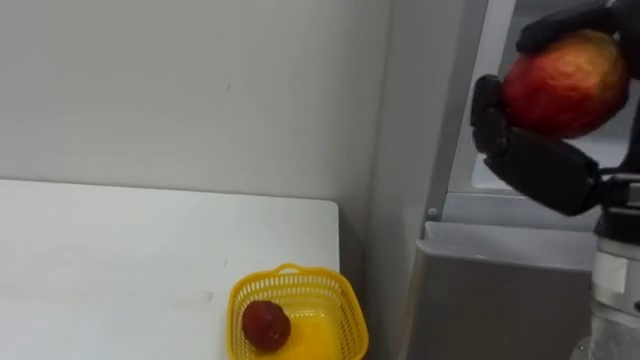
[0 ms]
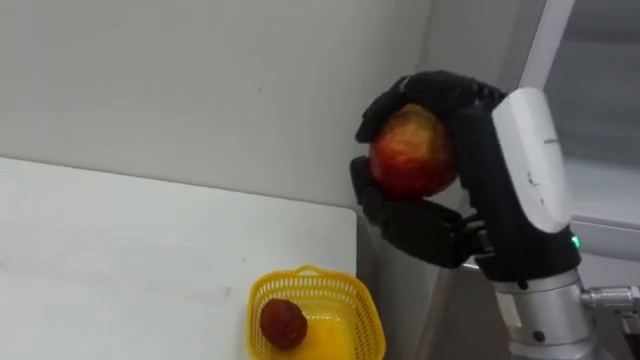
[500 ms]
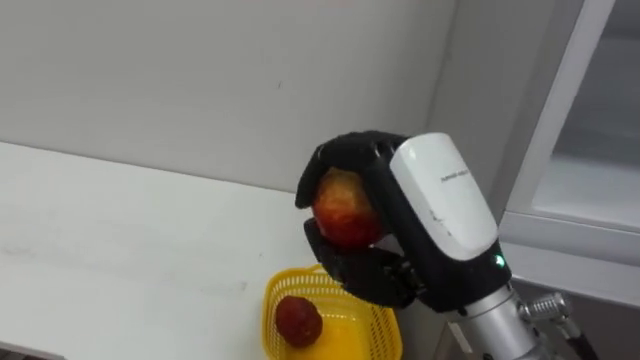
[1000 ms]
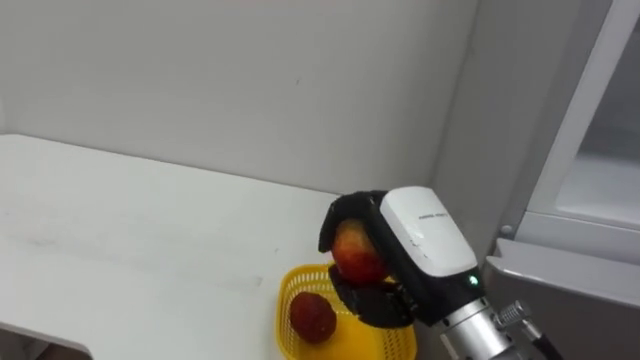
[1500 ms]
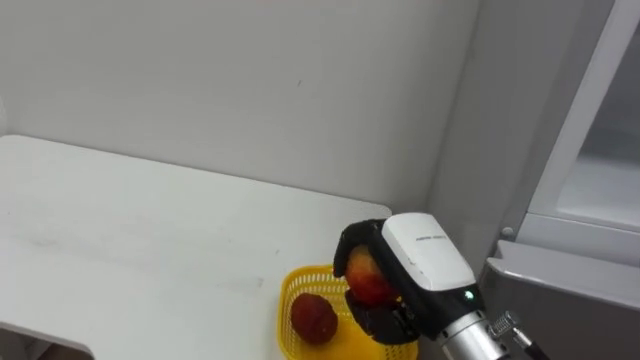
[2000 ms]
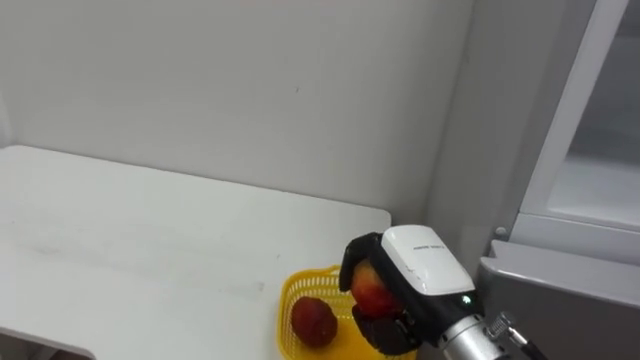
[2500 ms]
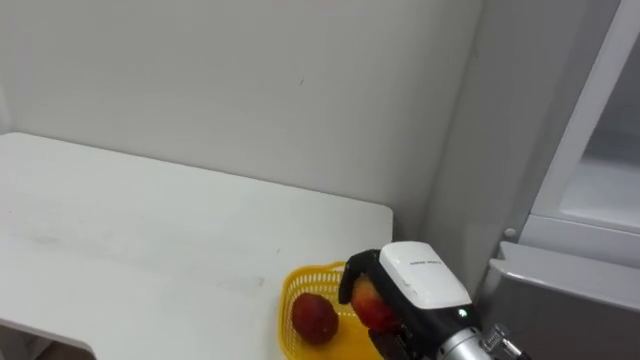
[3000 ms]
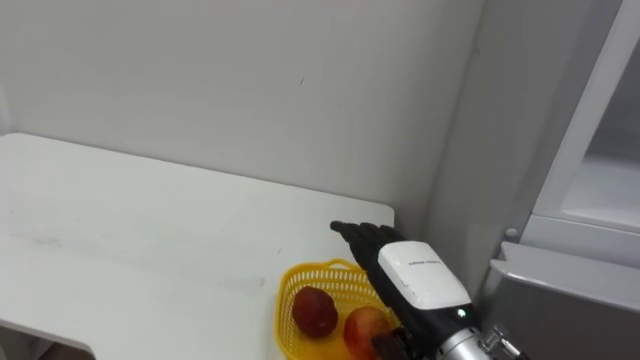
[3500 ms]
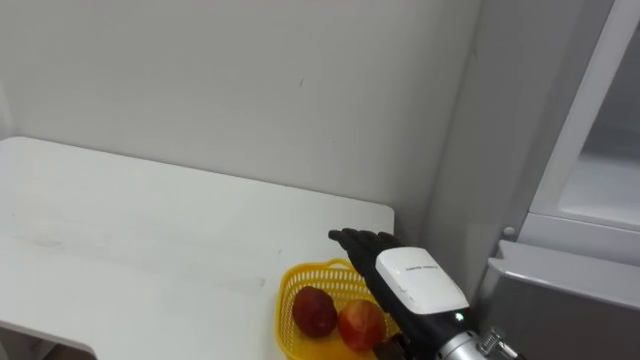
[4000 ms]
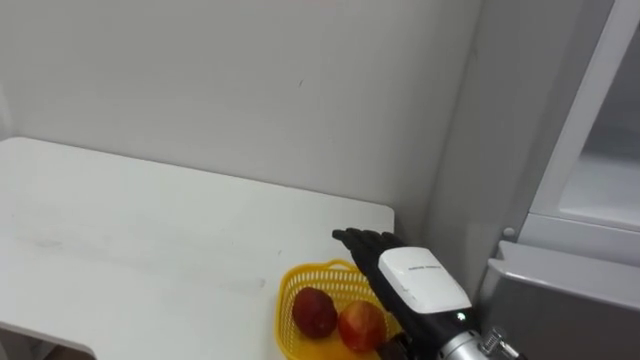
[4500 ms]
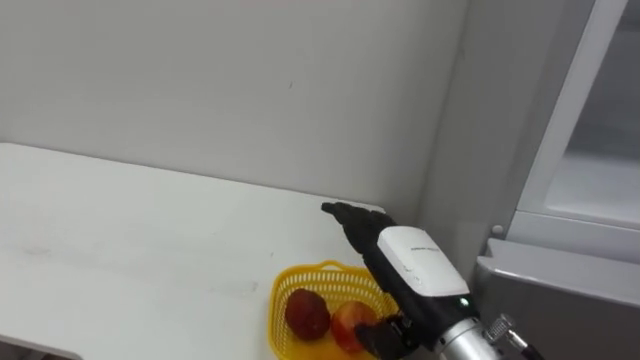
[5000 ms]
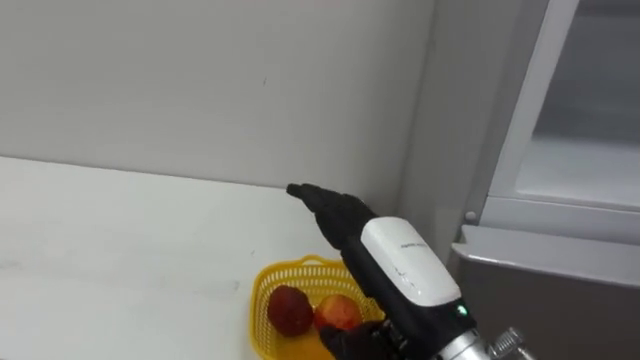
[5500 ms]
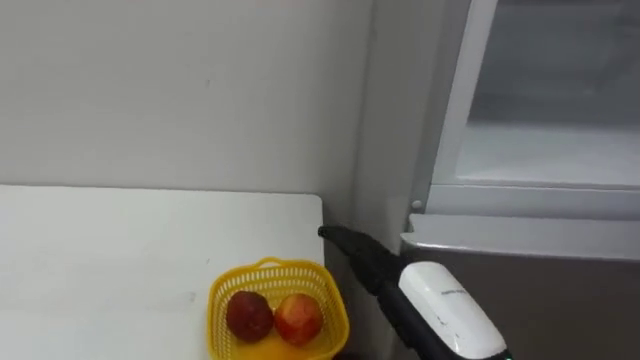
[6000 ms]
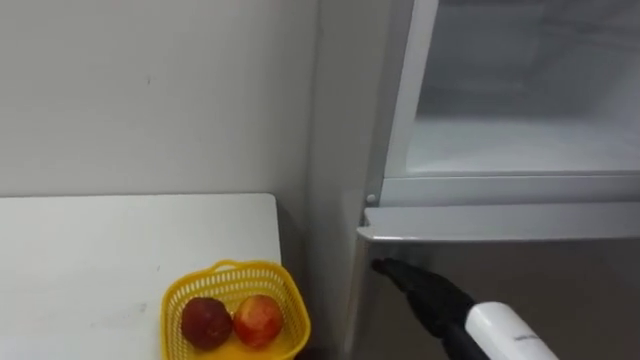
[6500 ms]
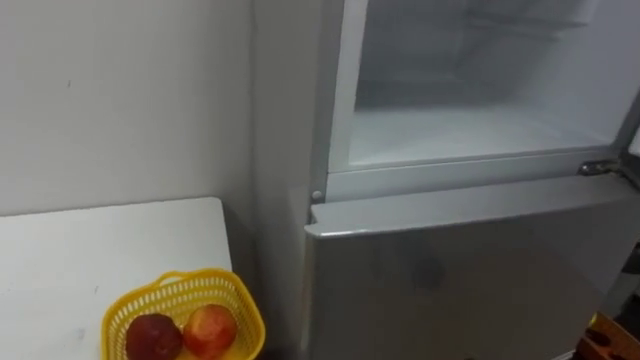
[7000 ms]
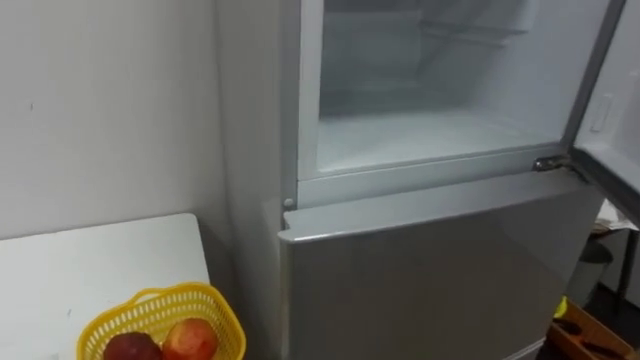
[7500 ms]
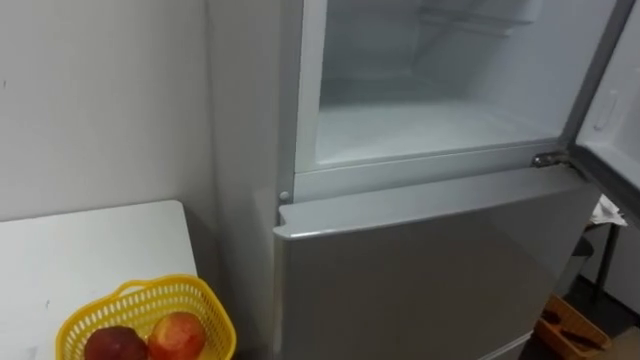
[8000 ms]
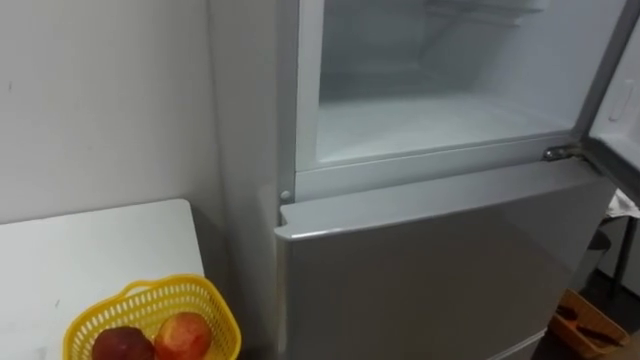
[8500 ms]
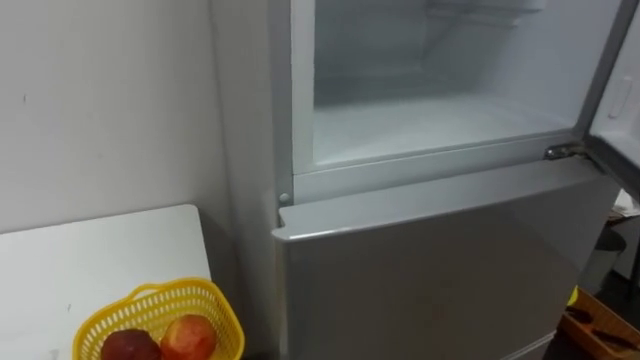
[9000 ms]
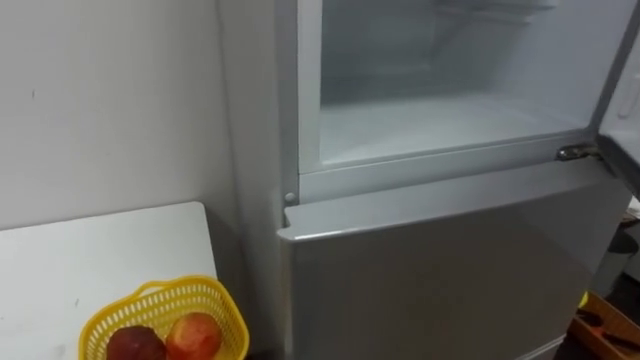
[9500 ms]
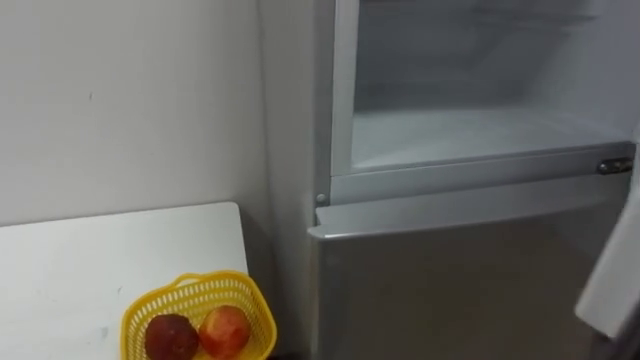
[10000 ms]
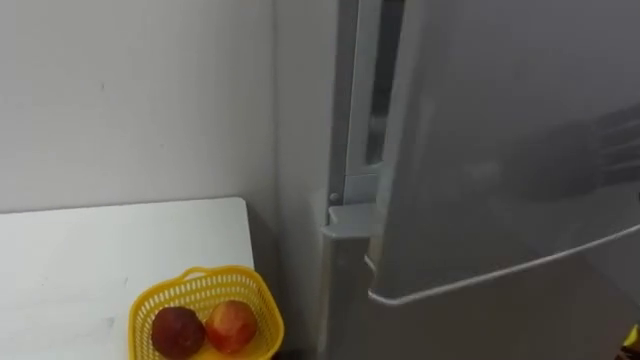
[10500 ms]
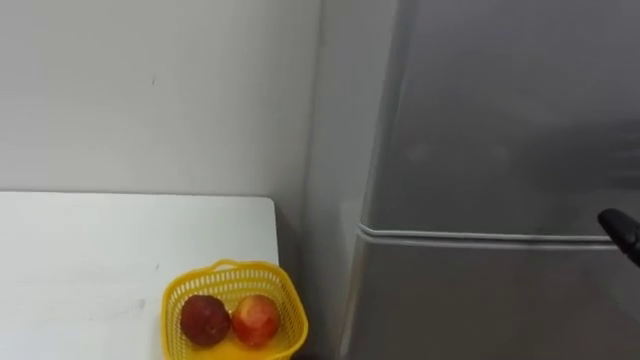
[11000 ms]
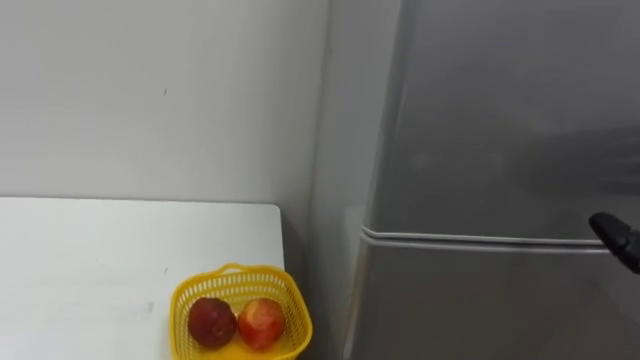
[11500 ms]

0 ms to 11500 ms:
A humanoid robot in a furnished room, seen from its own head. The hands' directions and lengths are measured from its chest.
Task of the whole recording: Open the refrigerator door, take out the apple and the pomegranate, place them in the fruit basket on the left, and close the refrigerator door.
2000 ms to 4000 ms: The right hand shifts roughly 5 cm downward, and opens up.
4000 ms to 6000 ms: The right hand heads backward, covering roughly 5 cm.

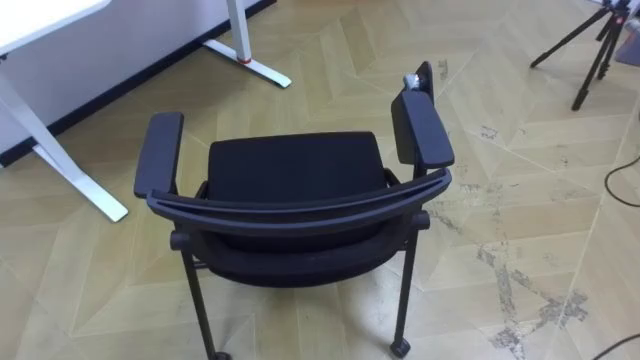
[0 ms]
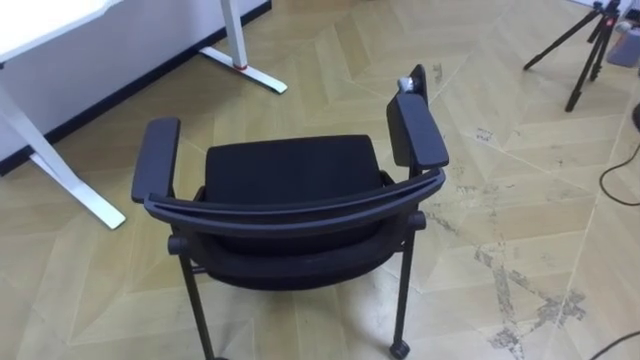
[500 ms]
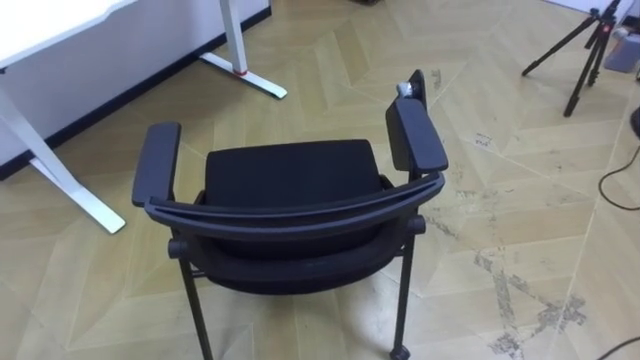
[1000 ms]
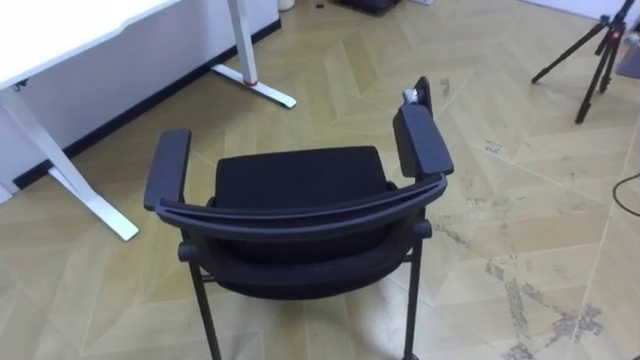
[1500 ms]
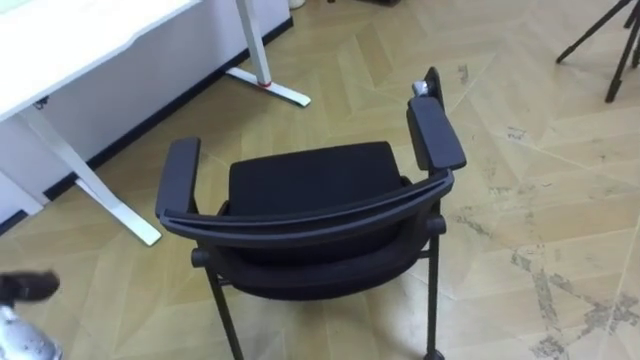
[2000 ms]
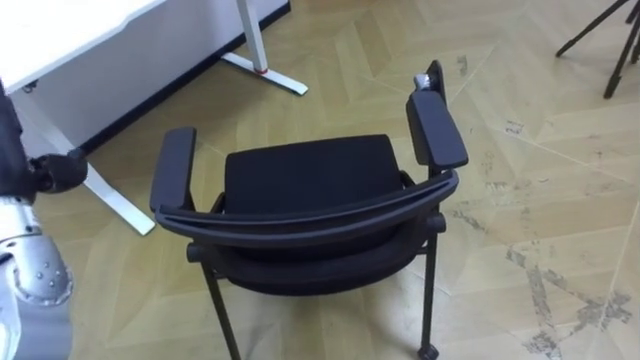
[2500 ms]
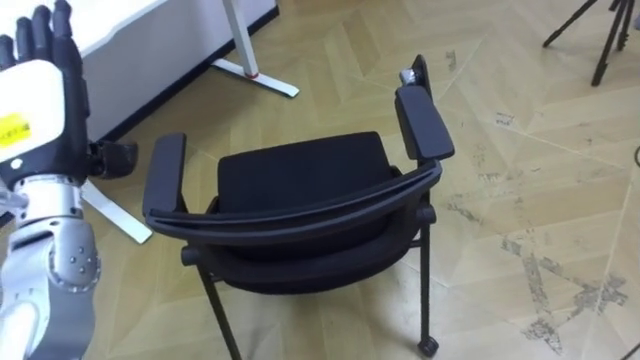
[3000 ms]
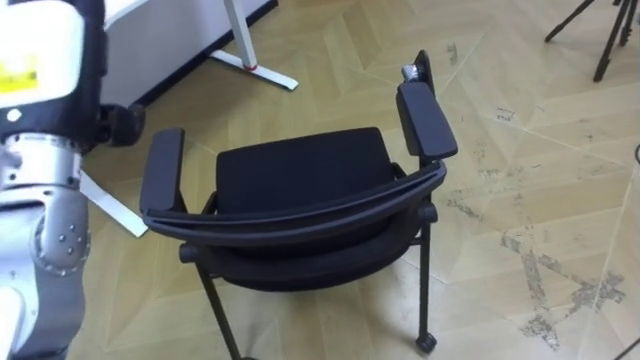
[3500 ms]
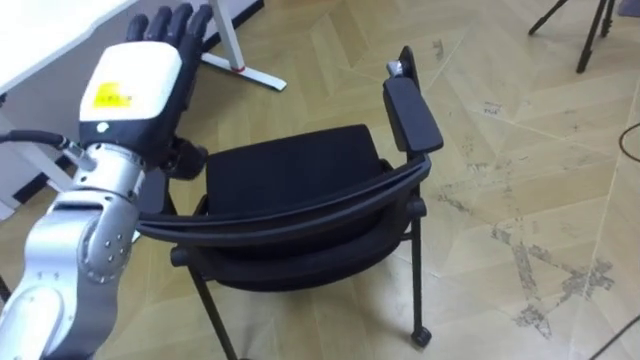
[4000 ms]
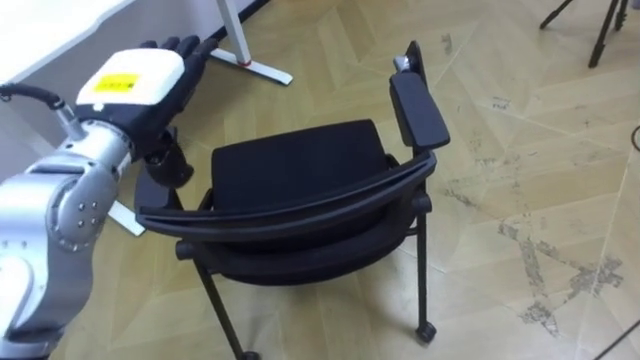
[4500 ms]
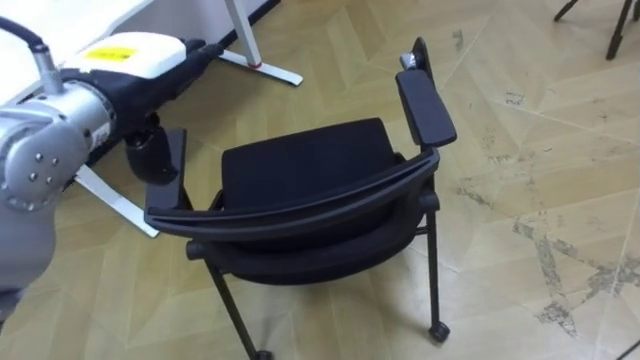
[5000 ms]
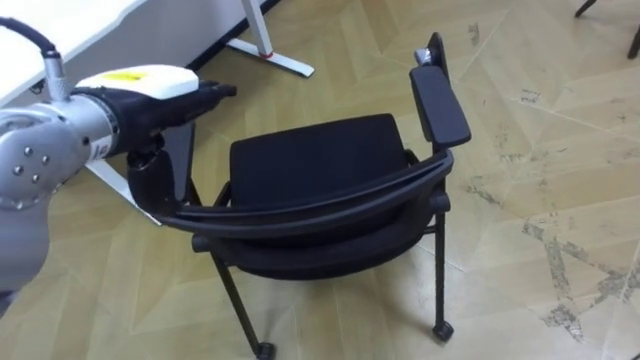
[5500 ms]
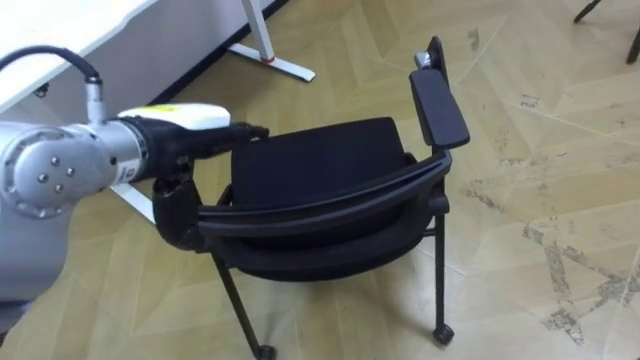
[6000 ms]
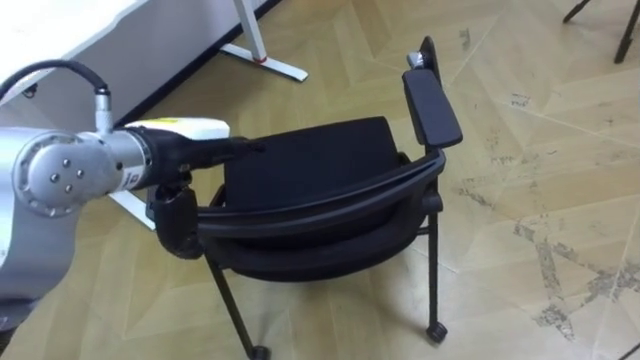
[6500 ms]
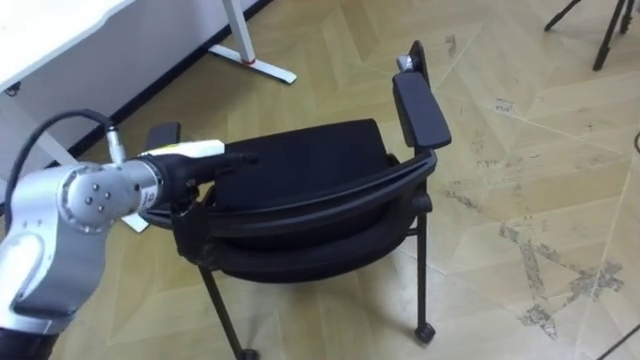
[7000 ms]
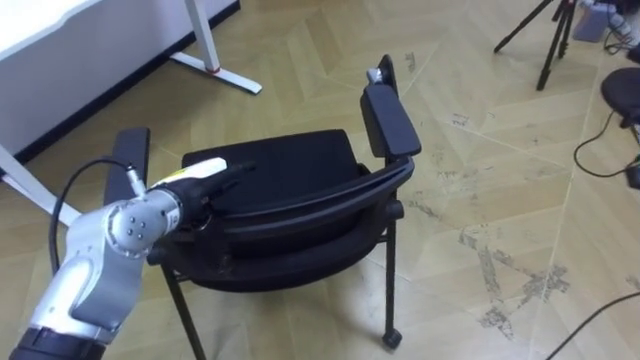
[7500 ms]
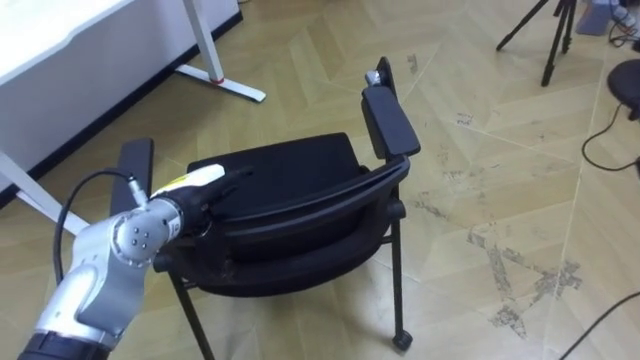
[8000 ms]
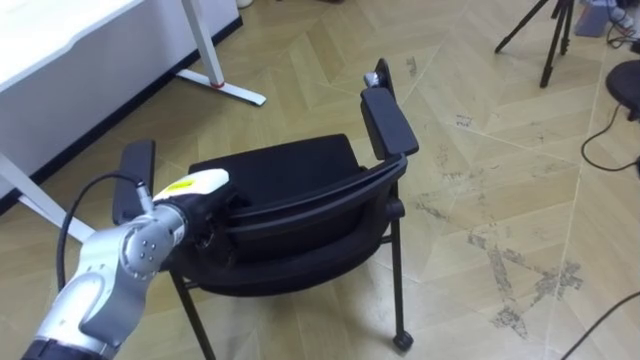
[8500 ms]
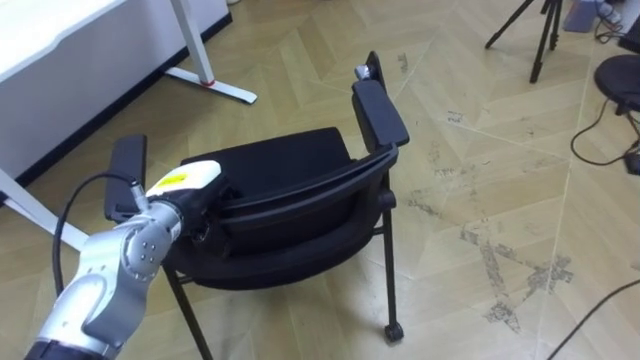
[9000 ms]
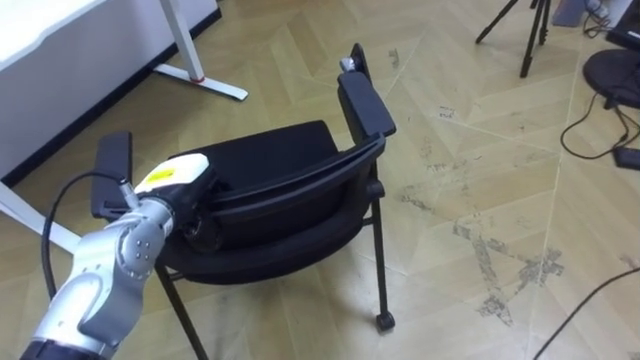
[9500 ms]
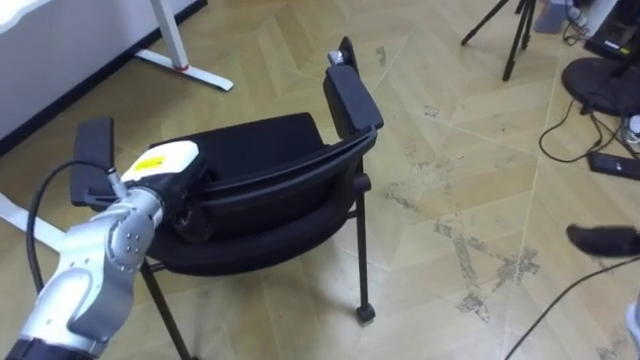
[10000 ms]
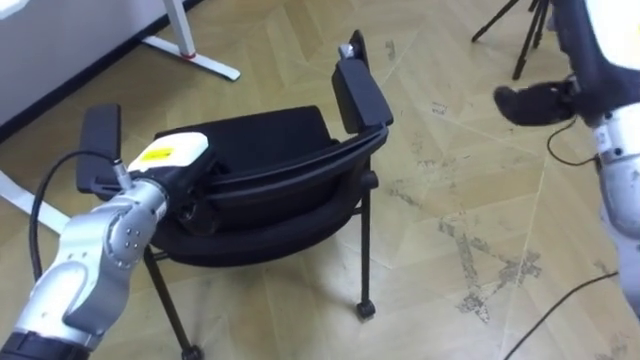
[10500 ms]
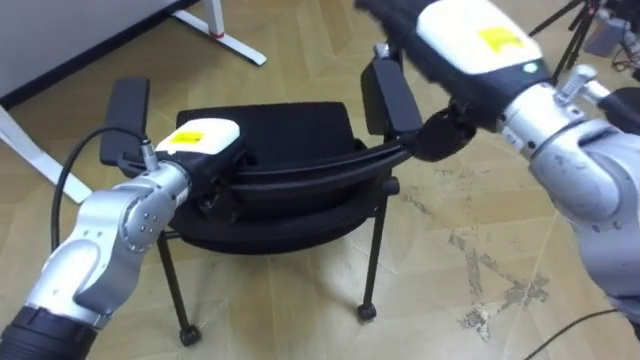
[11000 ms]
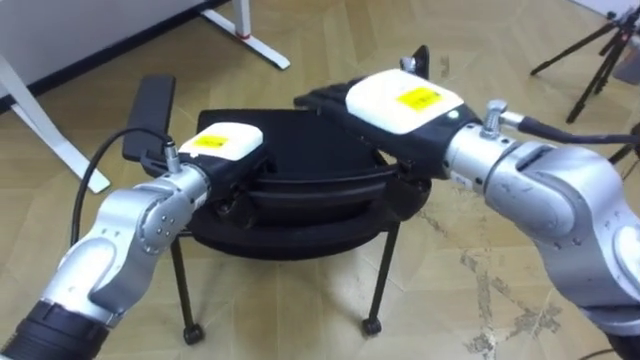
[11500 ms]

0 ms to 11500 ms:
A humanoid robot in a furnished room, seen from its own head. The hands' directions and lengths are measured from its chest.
Task of the whole recording: Push the chair under the table.
6000 ms to 7500 ms: The left hand moves downward, about 10 cm.
7500 ms to 9500 ms: The left hand closes up.
9500 ms to 11500 ms: The left hand shifts some 5 cm to the right.
